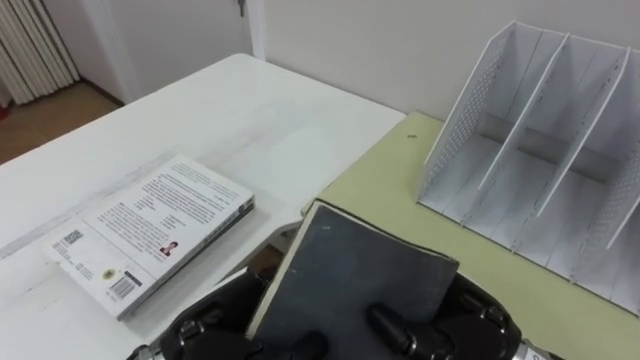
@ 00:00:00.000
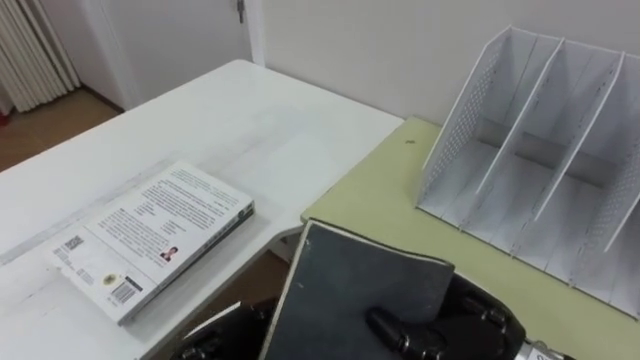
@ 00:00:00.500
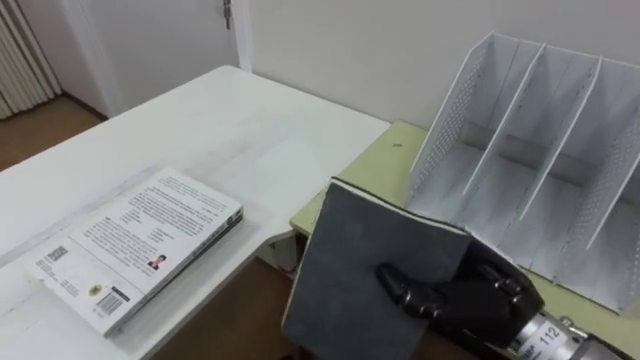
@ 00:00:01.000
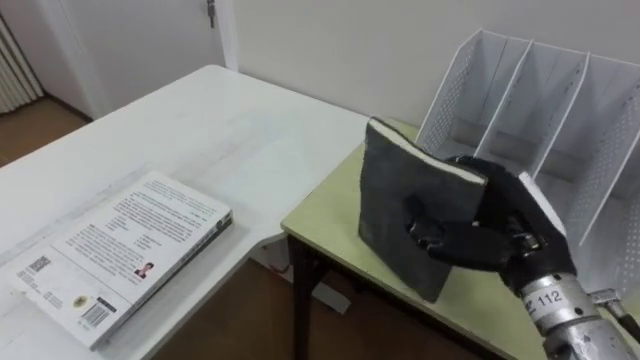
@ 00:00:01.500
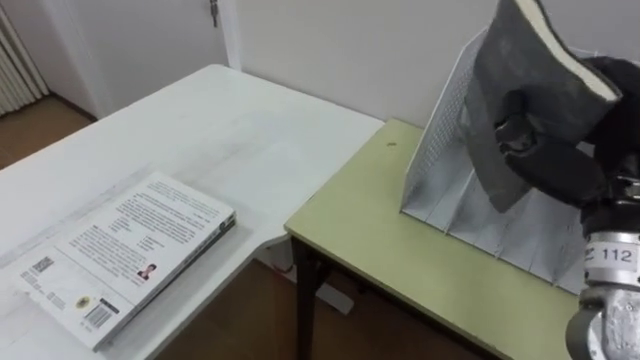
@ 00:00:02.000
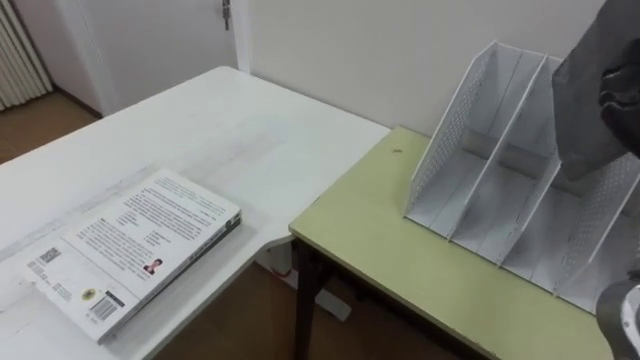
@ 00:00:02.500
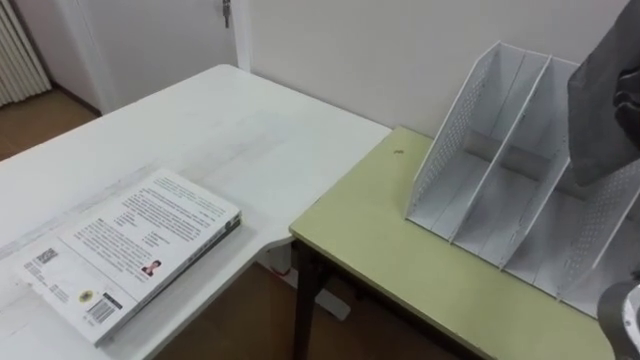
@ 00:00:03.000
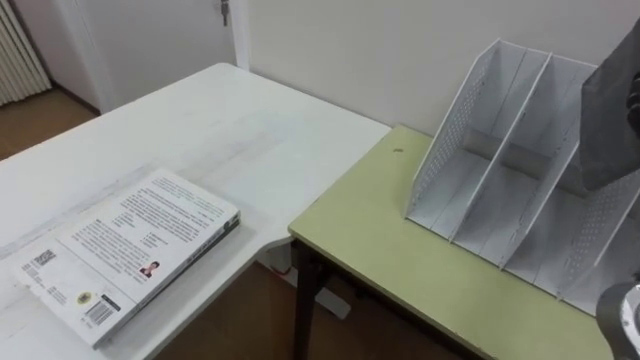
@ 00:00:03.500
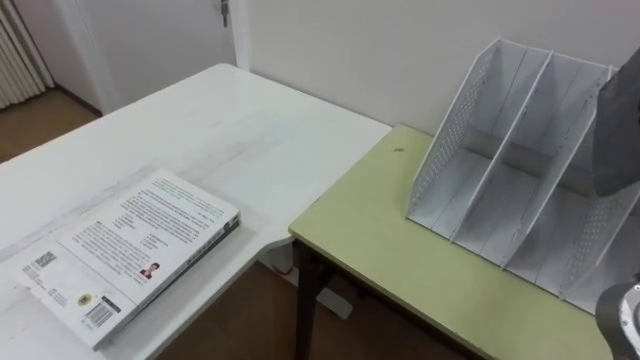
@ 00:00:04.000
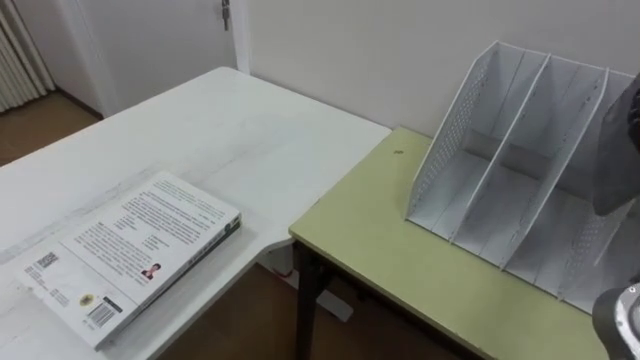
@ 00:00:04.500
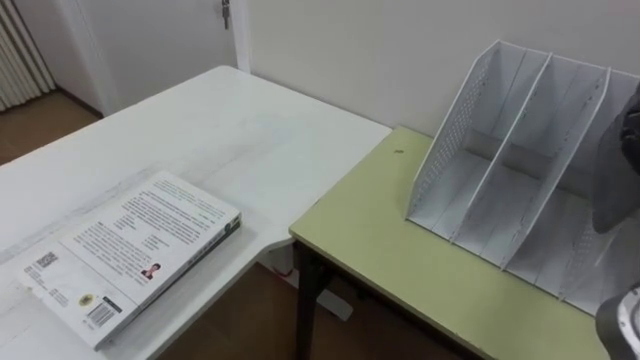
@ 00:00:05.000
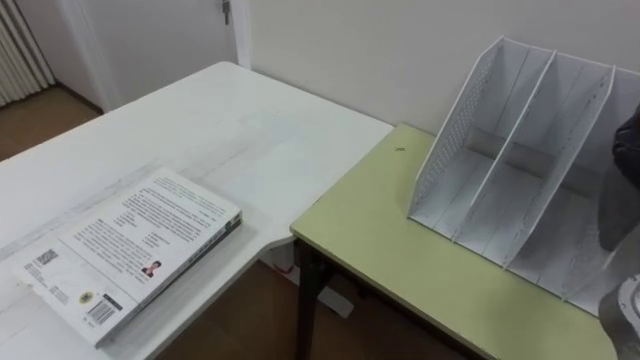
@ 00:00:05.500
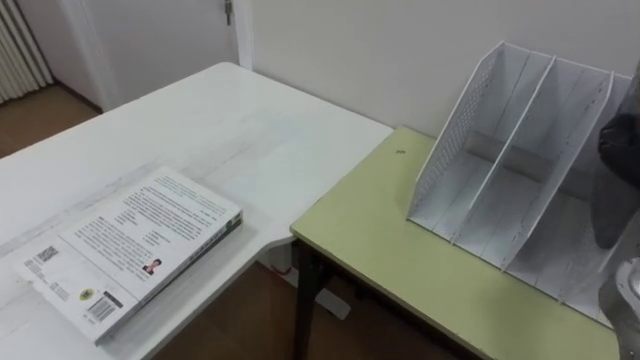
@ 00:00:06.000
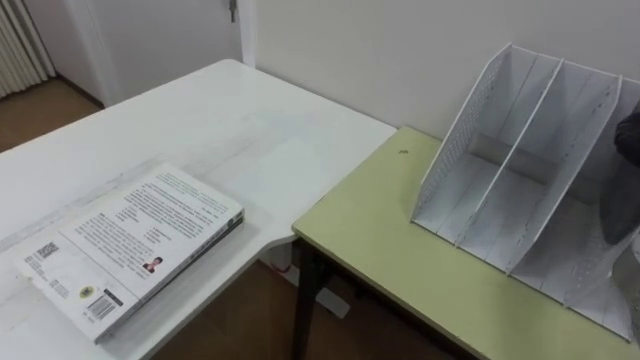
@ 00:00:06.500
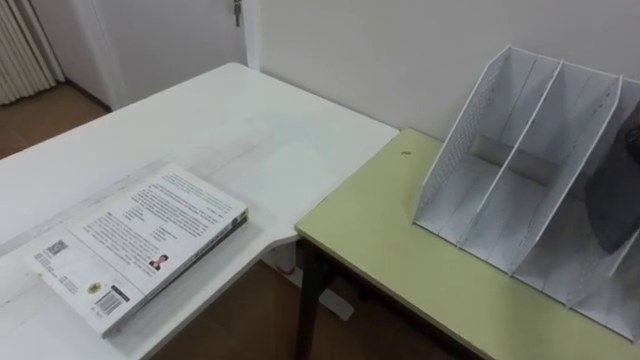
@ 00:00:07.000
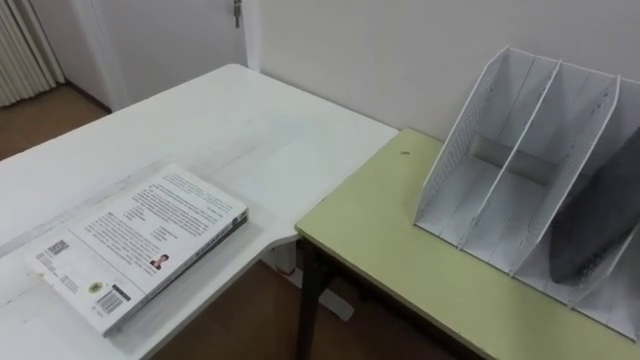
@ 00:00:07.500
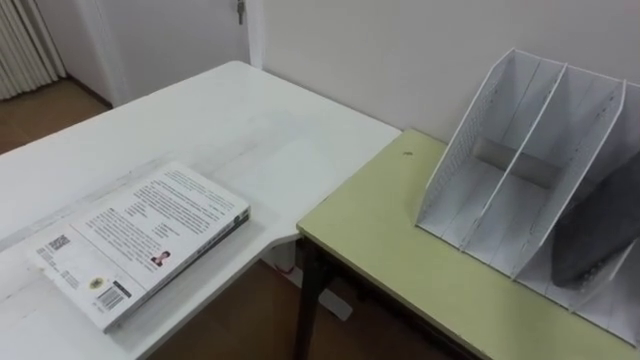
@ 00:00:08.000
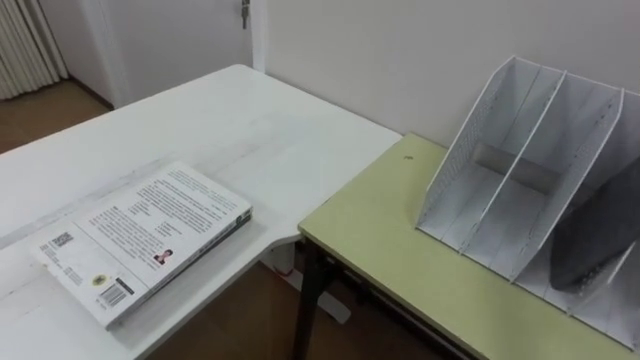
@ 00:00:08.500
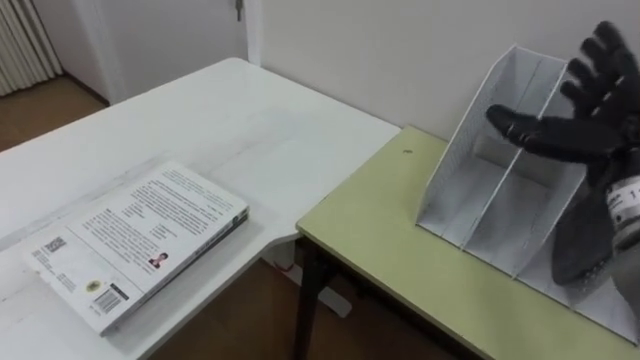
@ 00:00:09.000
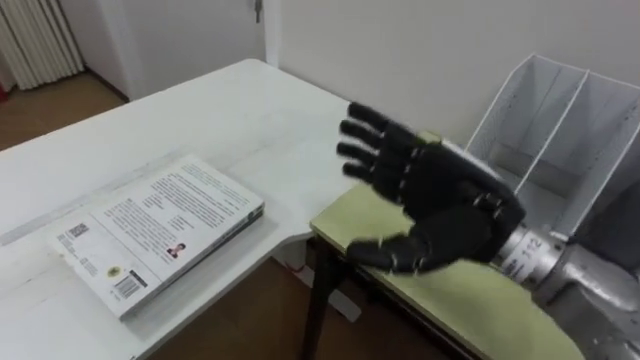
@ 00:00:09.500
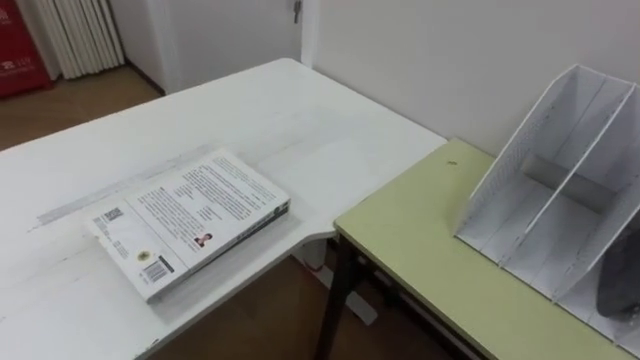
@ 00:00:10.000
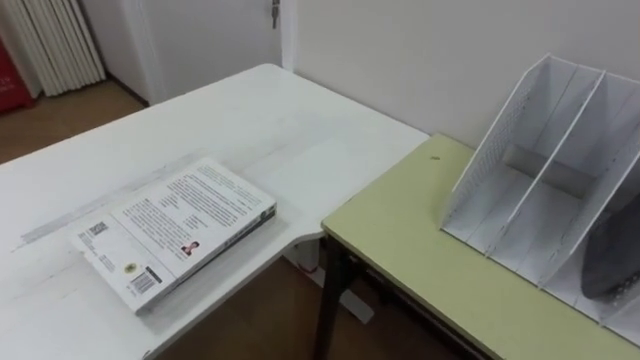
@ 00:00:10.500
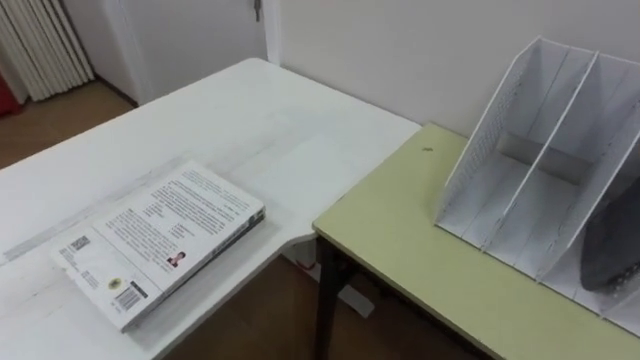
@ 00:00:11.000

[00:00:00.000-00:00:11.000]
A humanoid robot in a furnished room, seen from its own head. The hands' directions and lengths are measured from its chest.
Task of the whole recording: Put the books on the table onto the bookshelf.
00:00:00.000 to 00:00:02.000: The right hand travels upward and to the right by roughly 20 cm.

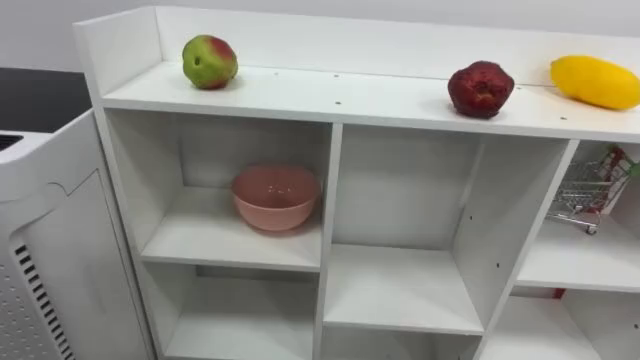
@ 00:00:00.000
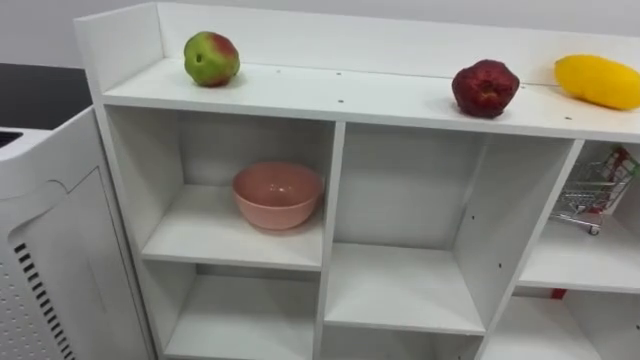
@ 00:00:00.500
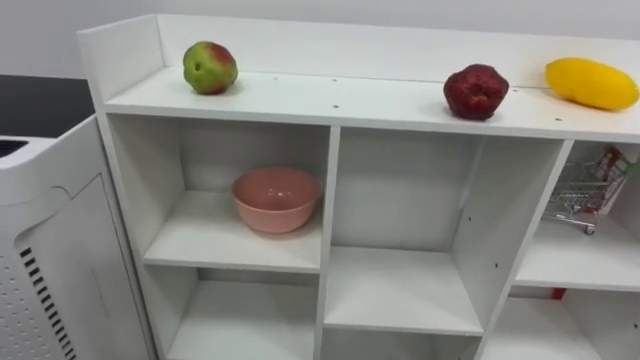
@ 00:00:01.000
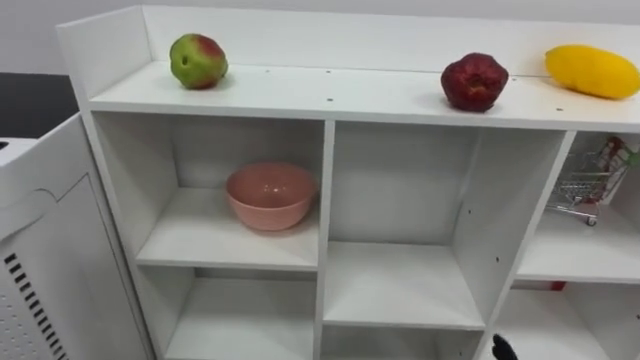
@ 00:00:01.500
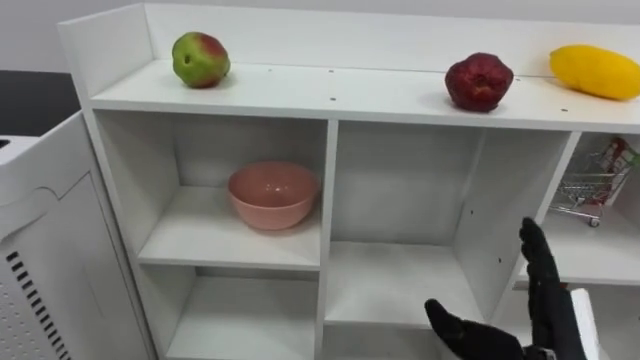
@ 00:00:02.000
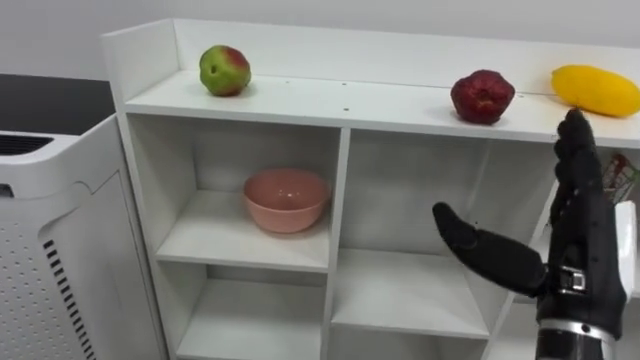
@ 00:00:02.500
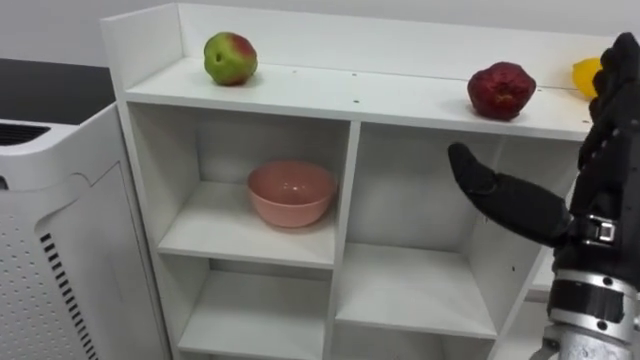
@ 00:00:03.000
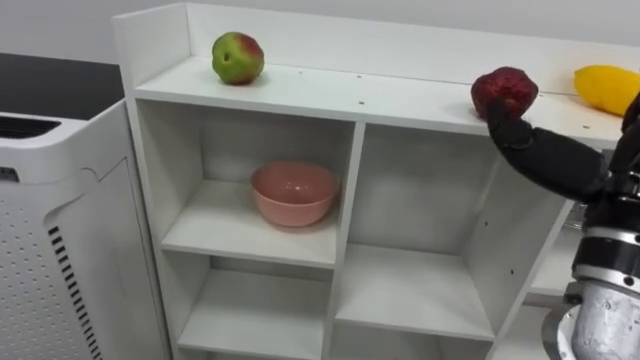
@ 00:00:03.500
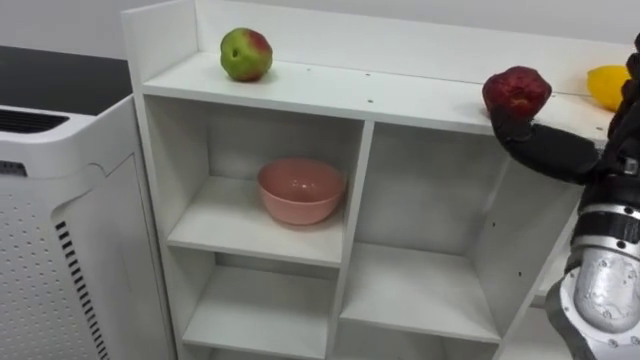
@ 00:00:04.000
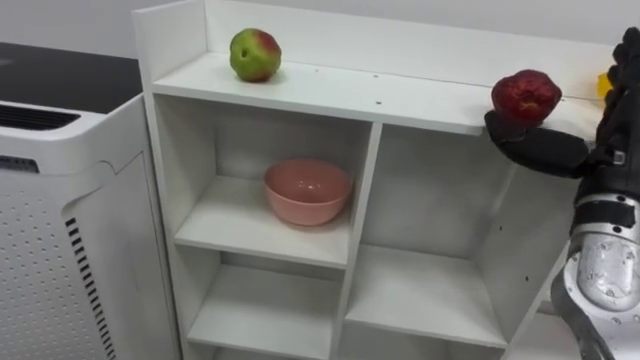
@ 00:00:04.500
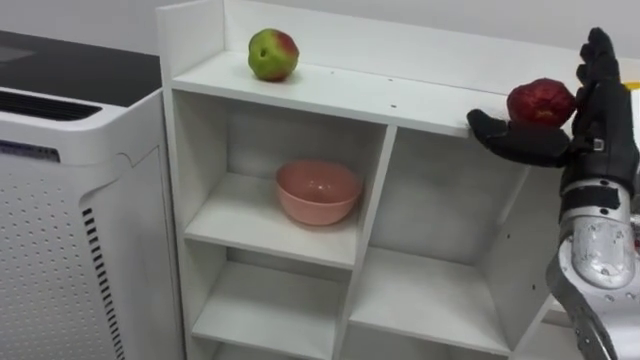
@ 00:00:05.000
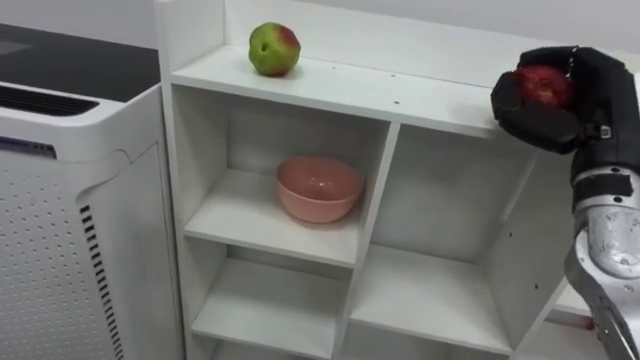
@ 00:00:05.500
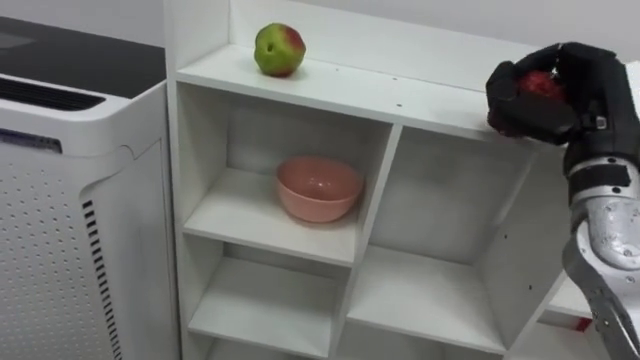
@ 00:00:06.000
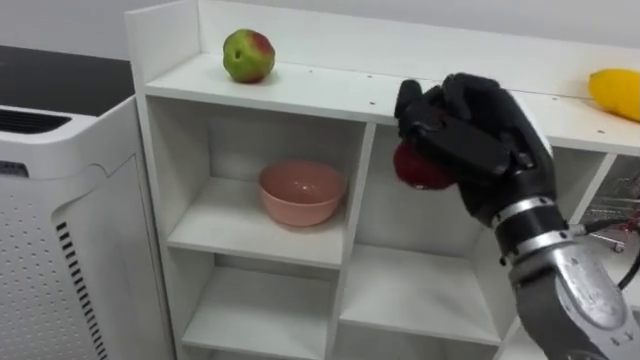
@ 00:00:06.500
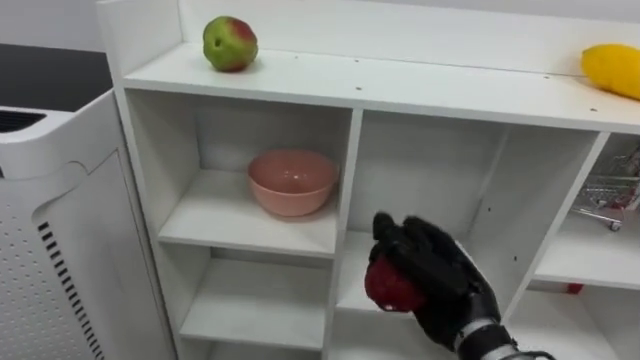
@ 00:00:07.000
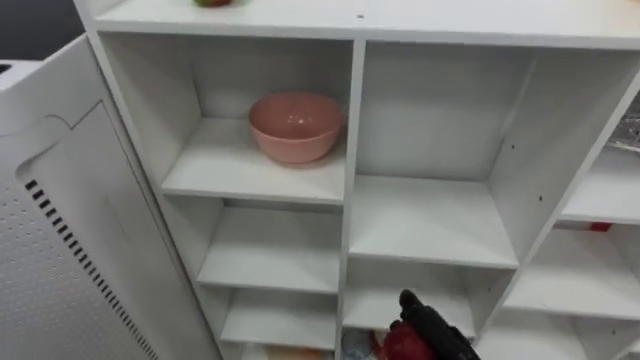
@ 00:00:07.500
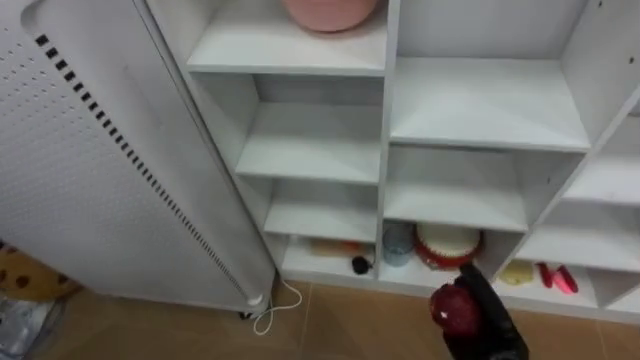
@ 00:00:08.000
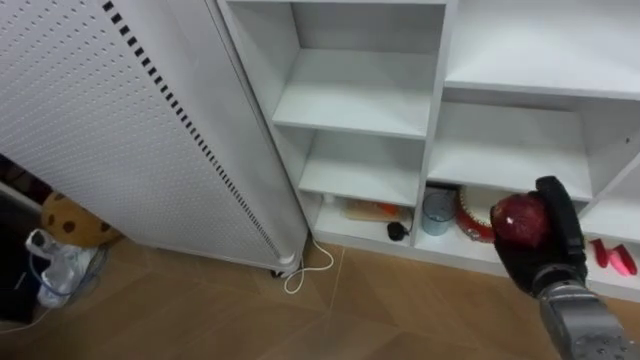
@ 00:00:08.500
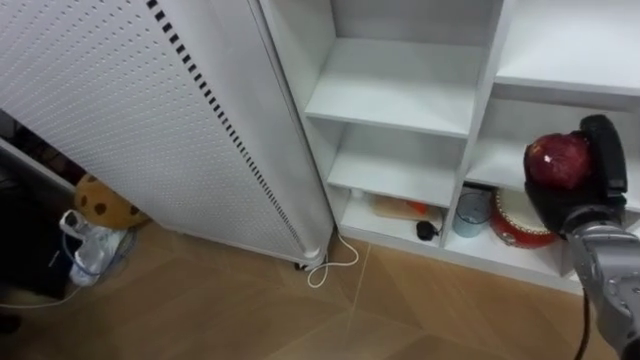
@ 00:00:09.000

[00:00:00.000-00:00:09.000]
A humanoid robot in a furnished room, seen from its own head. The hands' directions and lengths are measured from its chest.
Task of the whole recording: Put the apple in the cell in the second column from the left and the second row from the top.
00:00:02.000 to 00:00:04.500: The right hand travels upward and forward by about 20 cm.
00:00:04.500 to 00:00:07.000: The right hand goes roughly 20 cm to the left and downward, and closes.
